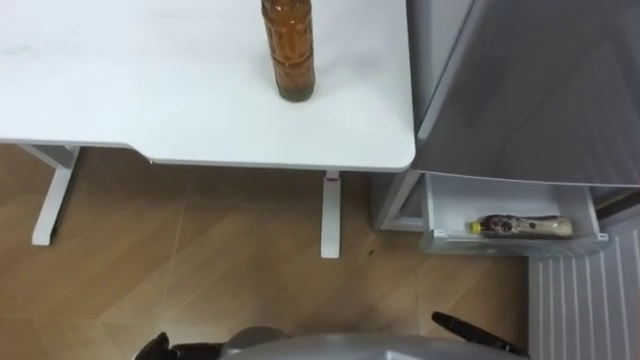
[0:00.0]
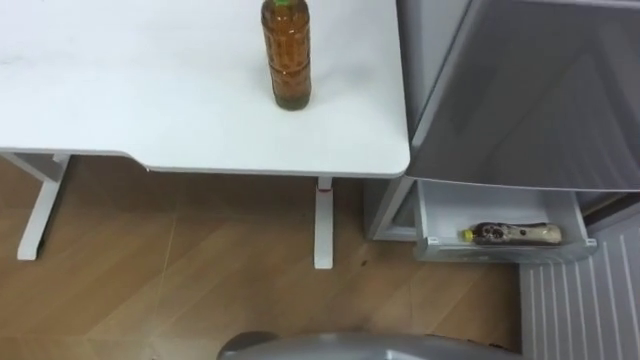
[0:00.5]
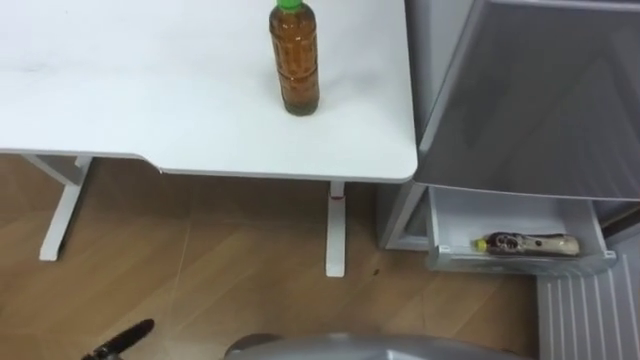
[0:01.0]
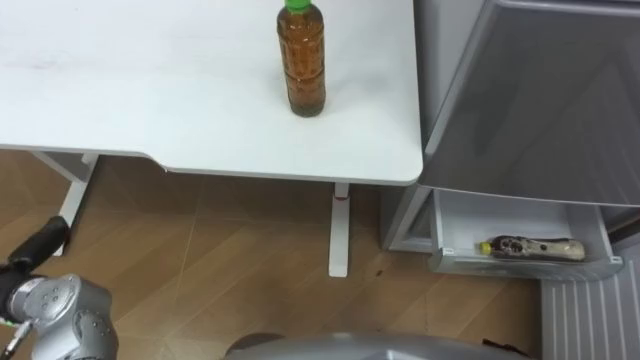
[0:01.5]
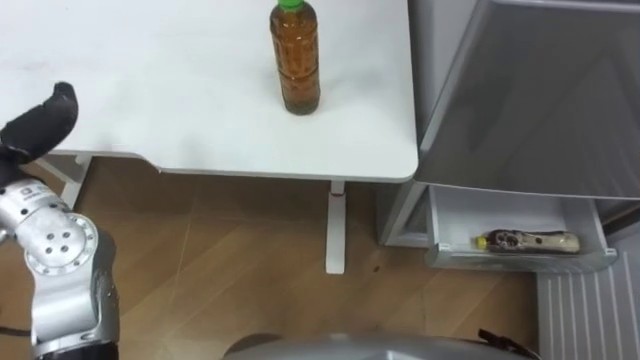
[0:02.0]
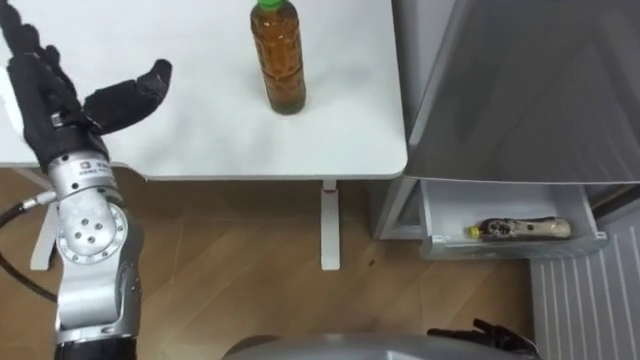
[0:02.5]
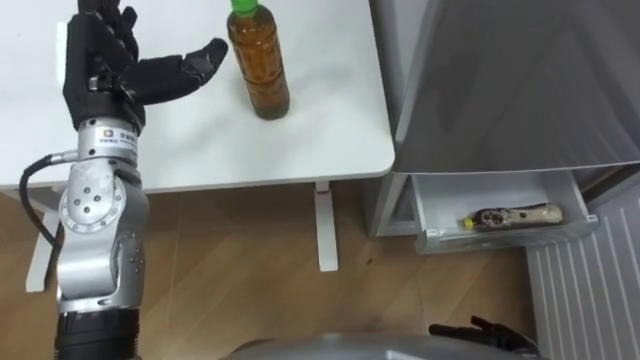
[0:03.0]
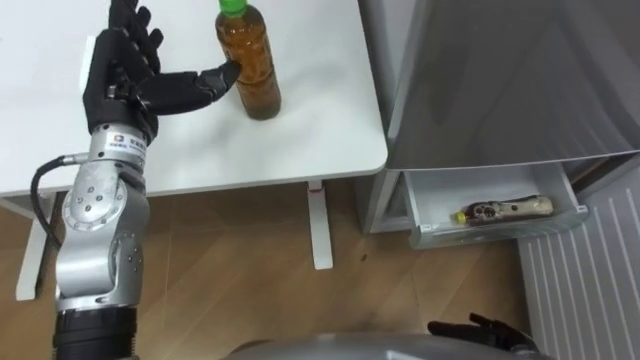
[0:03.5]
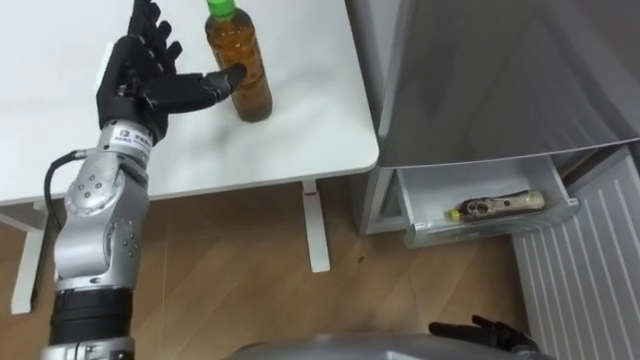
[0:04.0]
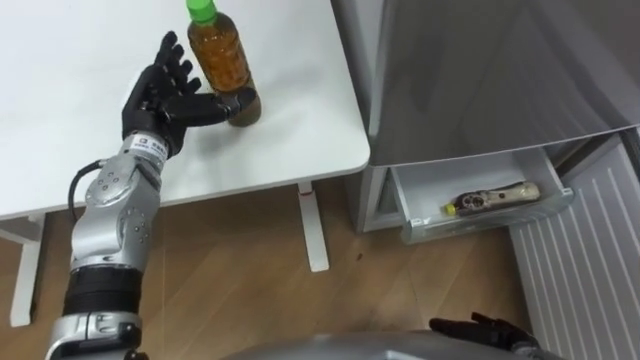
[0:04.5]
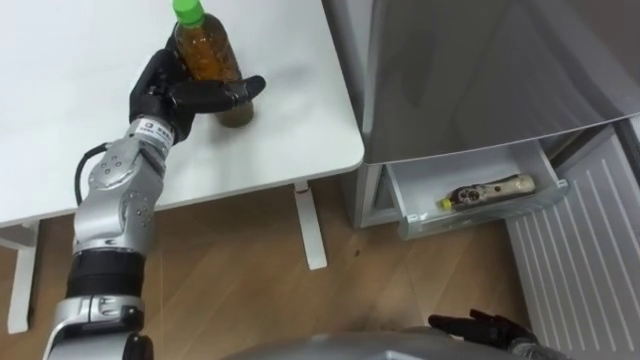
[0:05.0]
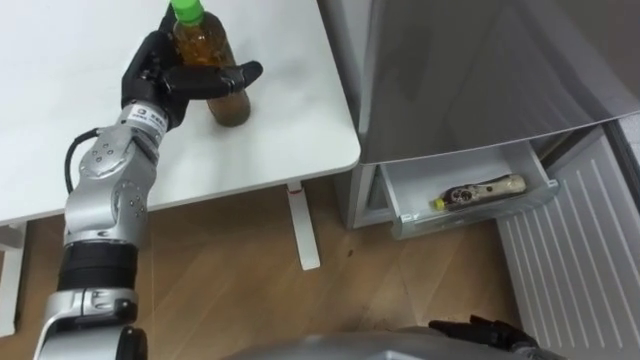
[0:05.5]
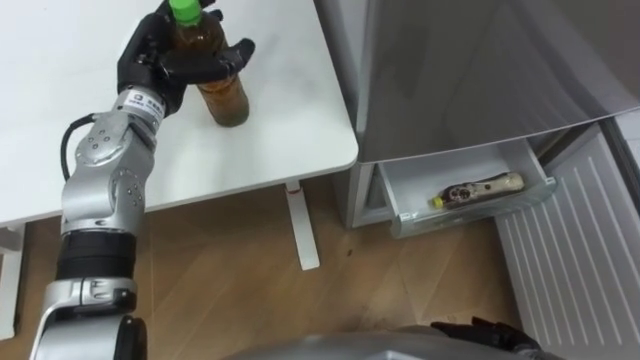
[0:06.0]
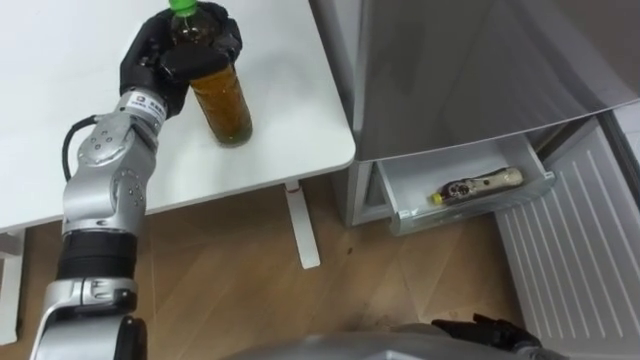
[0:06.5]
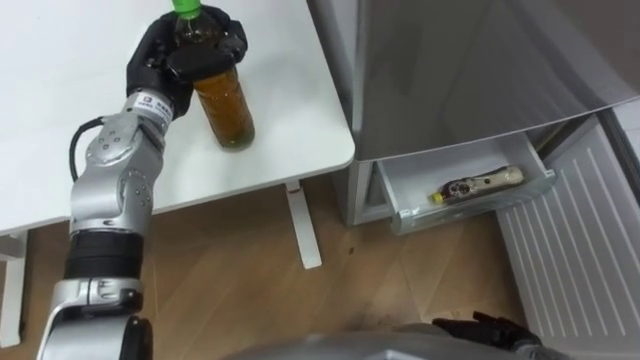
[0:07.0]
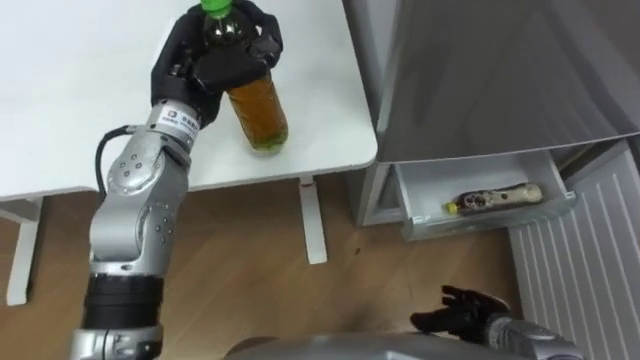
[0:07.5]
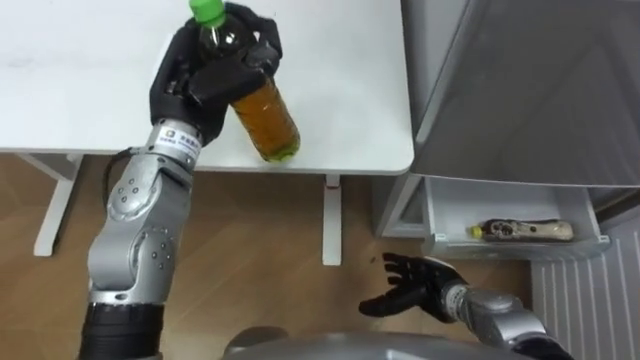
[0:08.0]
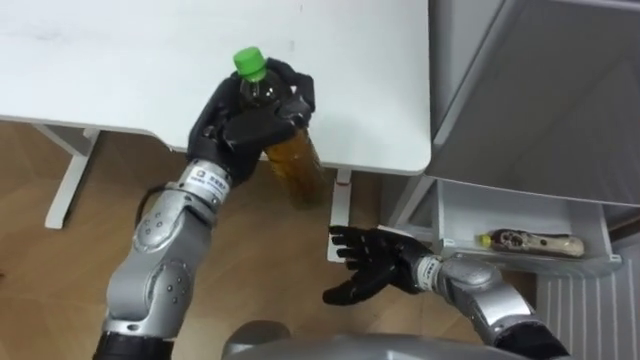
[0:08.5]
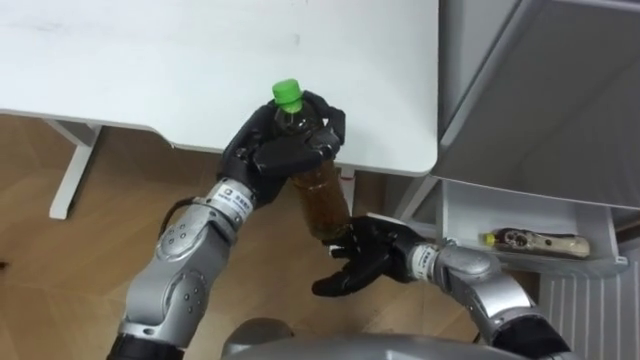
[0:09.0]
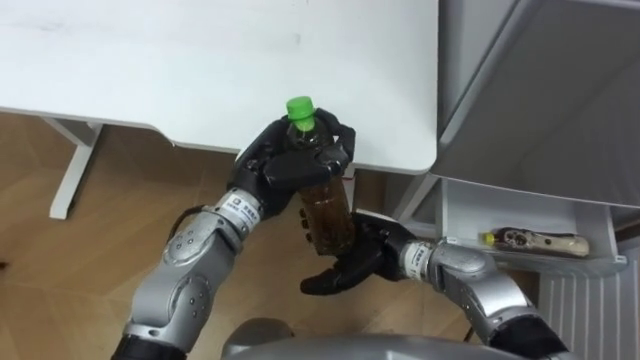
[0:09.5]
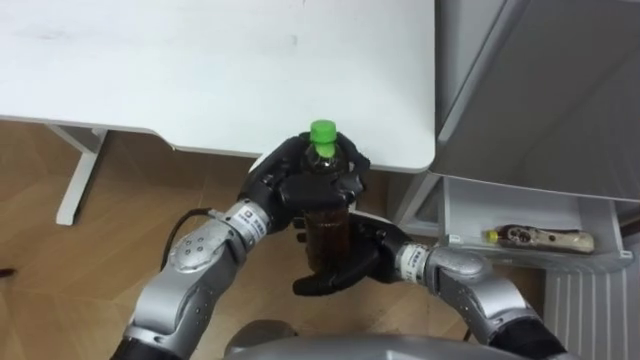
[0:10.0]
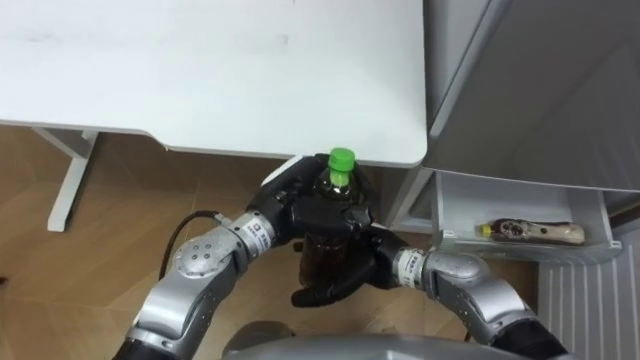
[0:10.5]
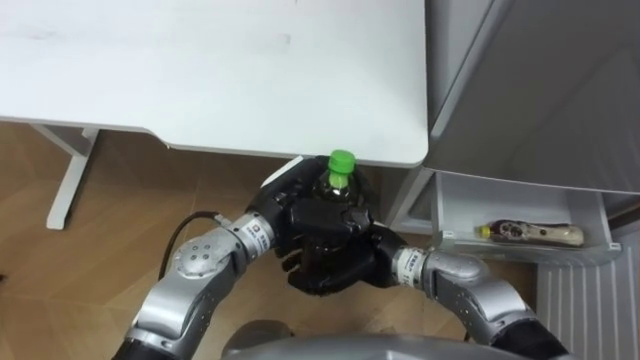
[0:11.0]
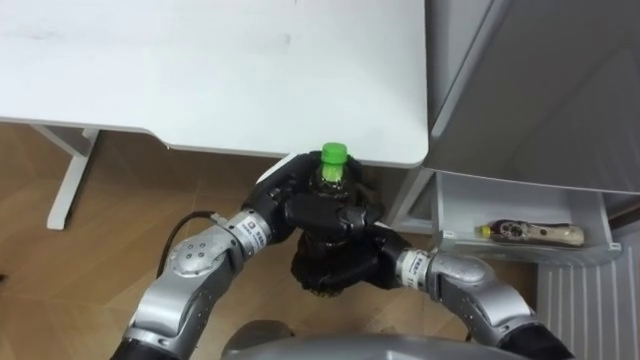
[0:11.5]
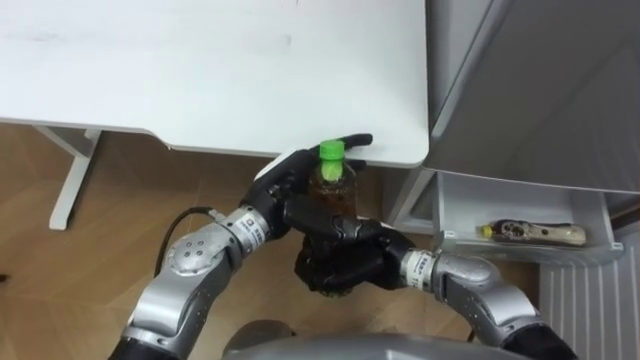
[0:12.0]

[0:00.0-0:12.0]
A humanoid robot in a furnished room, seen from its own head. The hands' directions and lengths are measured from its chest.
Task of the whole recording: Place the drink on the table on the bottom shelf of the refrigerator, then close the drawer and the refrigerator door.
0:06.0 to 0:08.0: The right hand goes roughly 15 cm to the left and forward; the left hand goes some 5 cm to the right and backward, and closes.
0:08.0 to 0:10.0: The left hand goes some 15 cm to the right, downward and backward, while the right hand goes approximately 15 cm to the left and upward.
0:10.0 to 0:12.0: The right hand closes its fingers. The left hand opens its fingers.

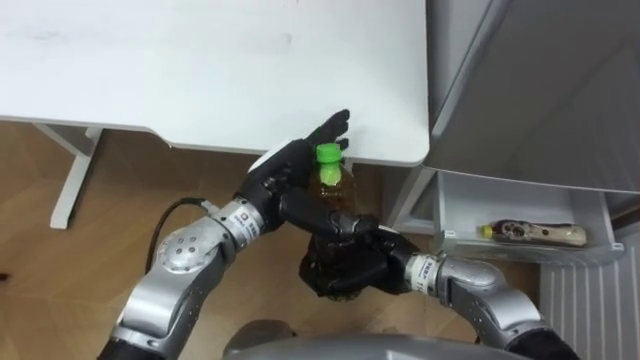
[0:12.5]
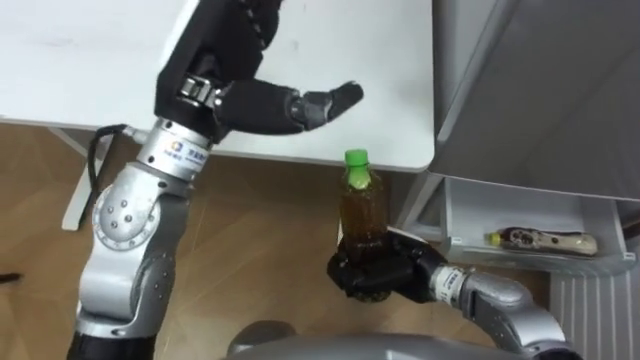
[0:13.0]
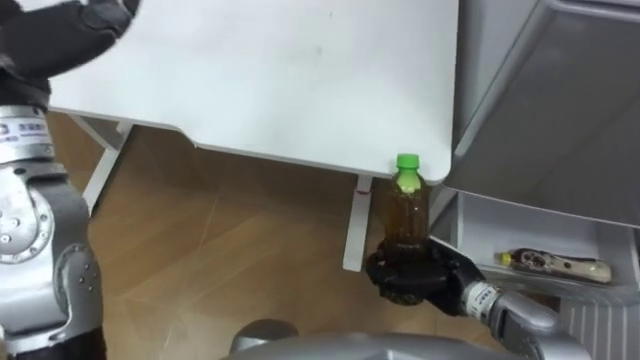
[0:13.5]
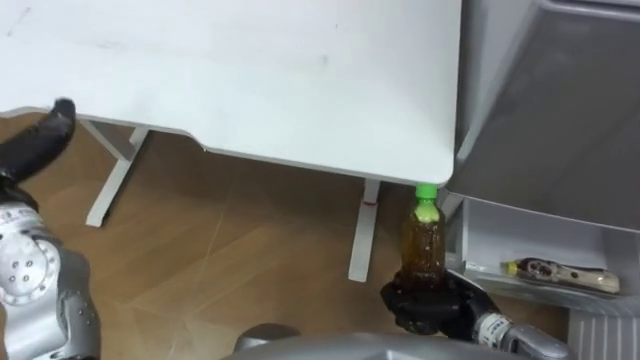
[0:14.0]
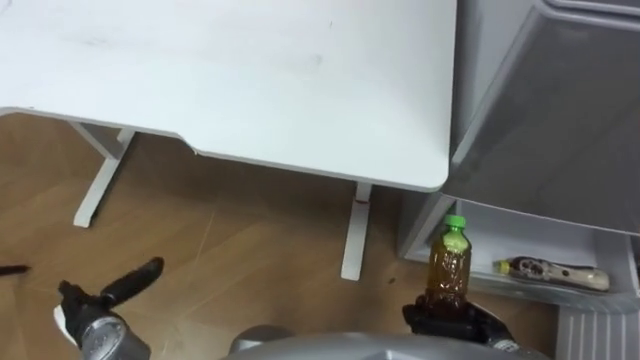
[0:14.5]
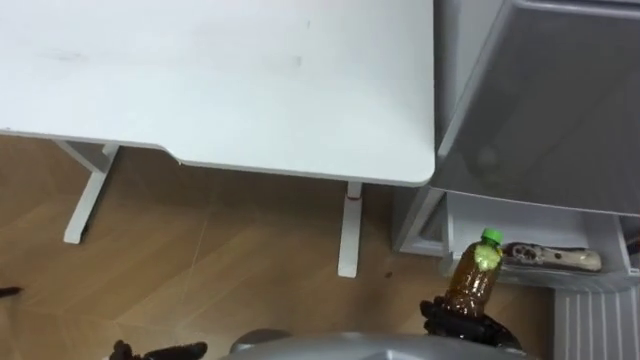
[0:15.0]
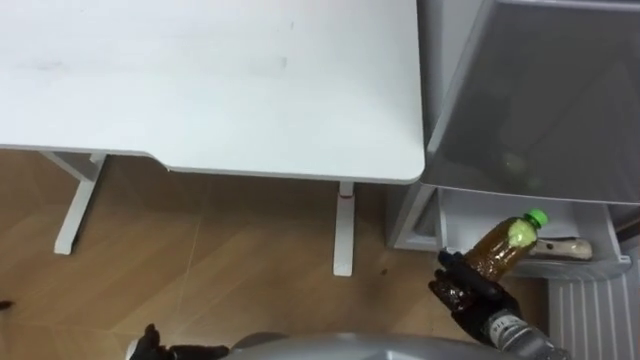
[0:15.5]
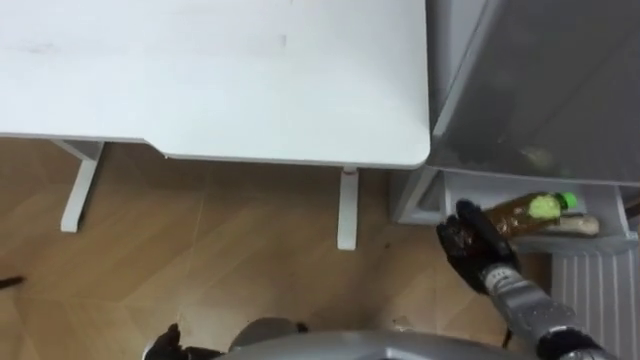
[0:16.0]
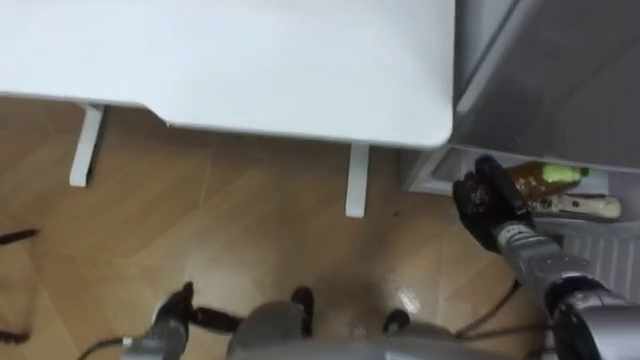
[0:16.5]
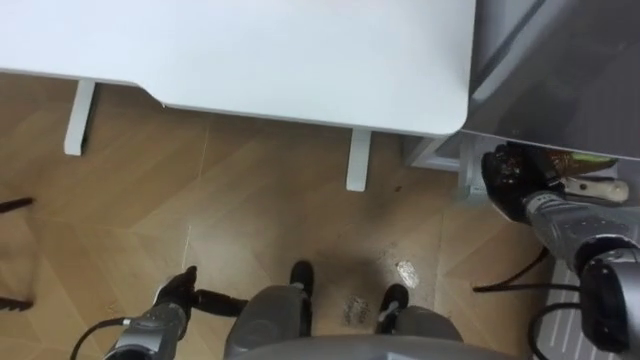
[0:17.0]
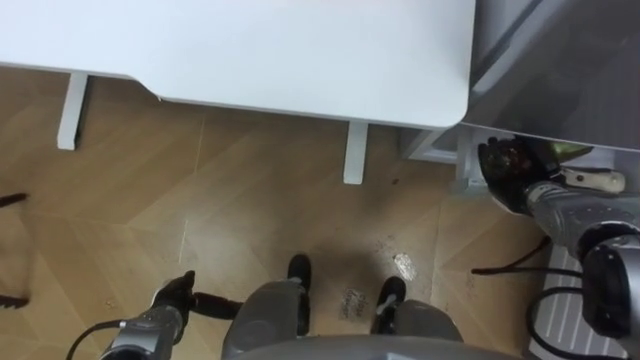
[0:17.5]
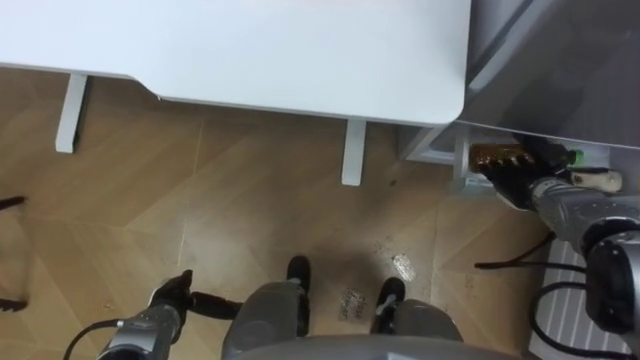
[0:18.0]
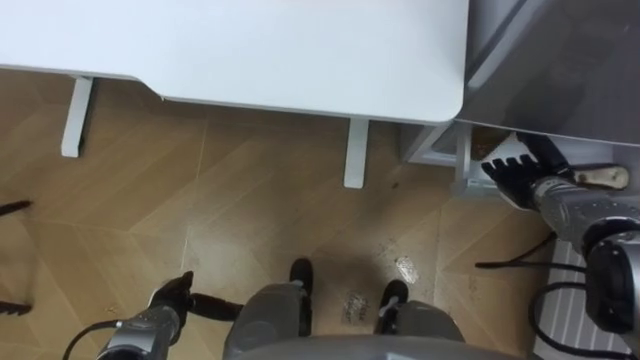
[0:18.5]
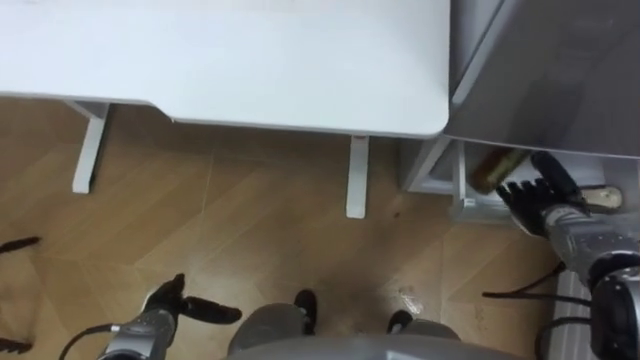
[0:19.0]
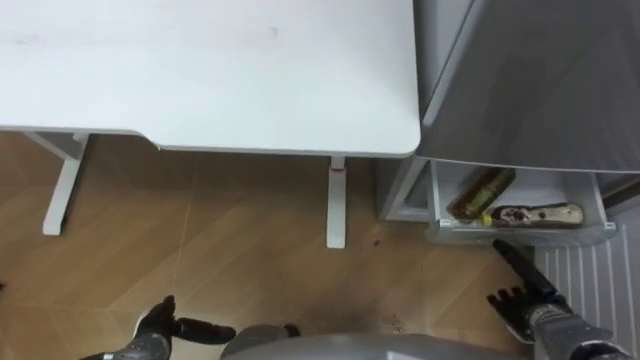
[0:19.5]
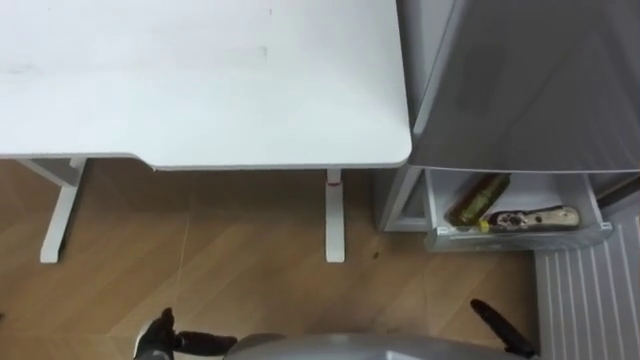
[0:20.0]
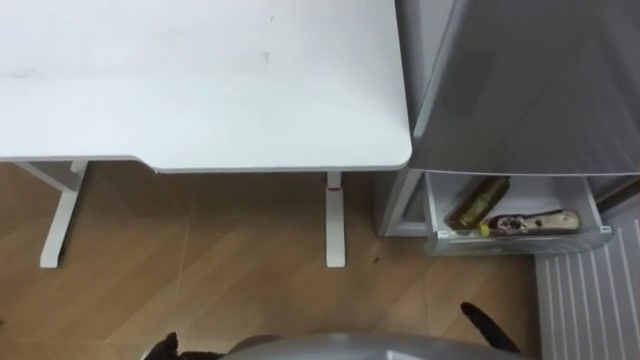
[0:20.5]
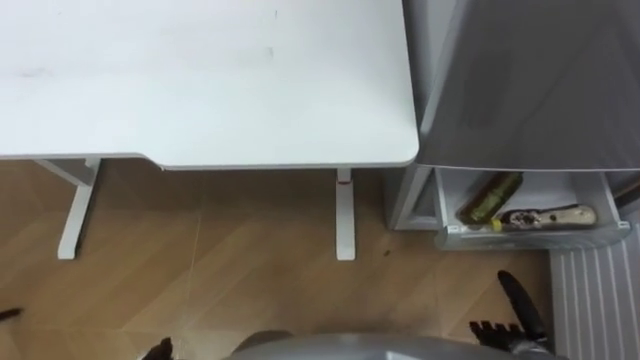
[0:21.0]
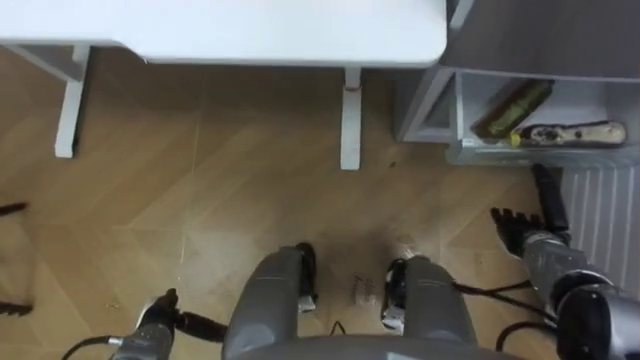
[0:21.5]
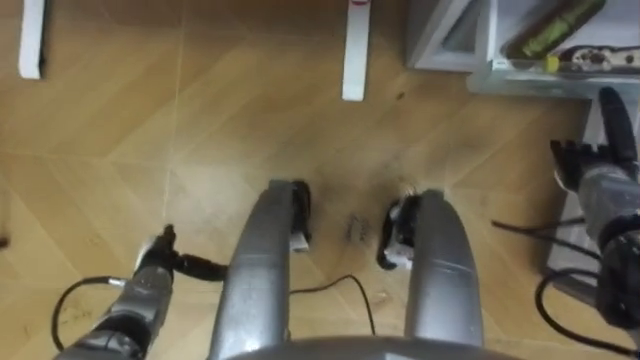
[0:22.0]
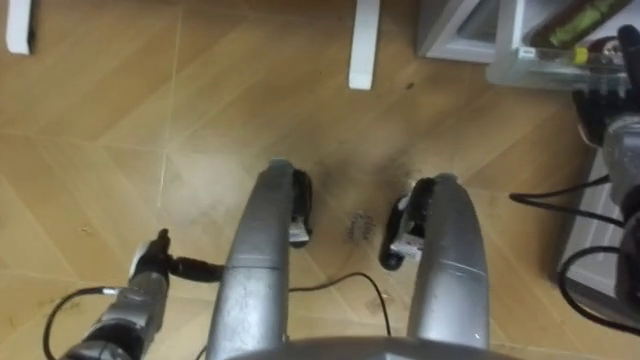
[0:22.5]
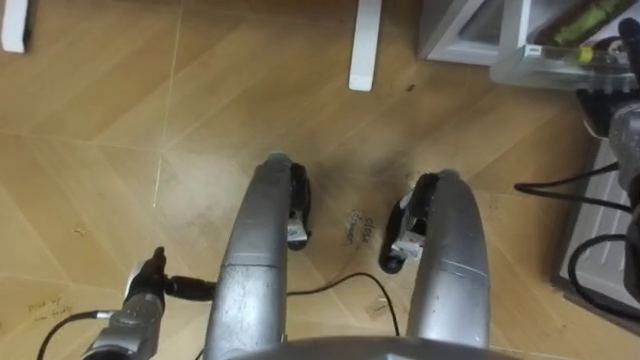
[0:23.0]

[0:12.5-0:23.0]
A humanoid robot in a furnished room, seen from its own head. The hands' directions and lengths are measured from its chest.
Task of the whole recording: Place the drink on the table on the bottom shelf of the refrigerator, then close the drawer and the refrigerator door.
0:12.5 to 0:14.5: The right hand shifts about 20 cm to the right, downward and backward.
0:14.5 to 0:16.5: The right hand shifts some 15 cm forward.
0:16.5 to 0:19.0: The right hand moves to the right, about 5 cm, and opens.
0:21.0 to 0:23.0: The right hand travels forward and upward by some 35 cm.
